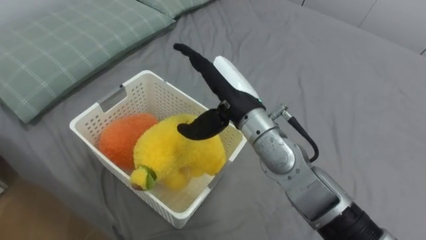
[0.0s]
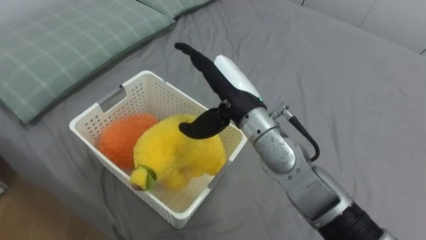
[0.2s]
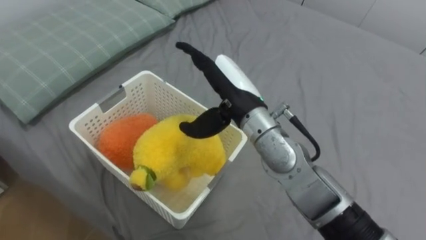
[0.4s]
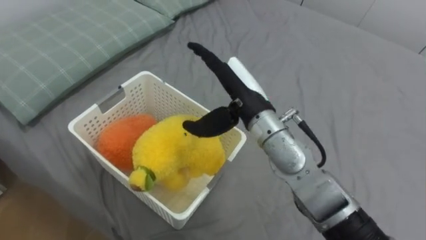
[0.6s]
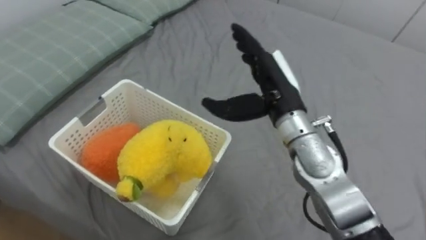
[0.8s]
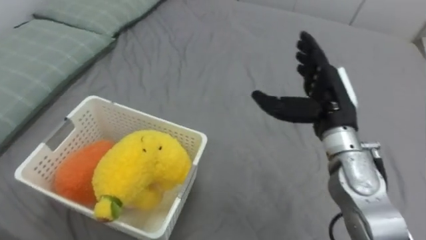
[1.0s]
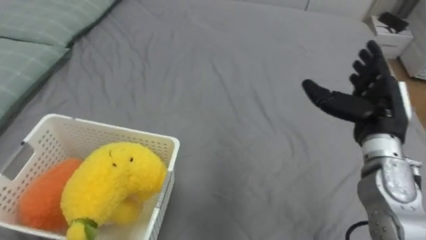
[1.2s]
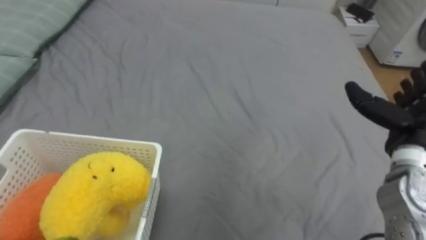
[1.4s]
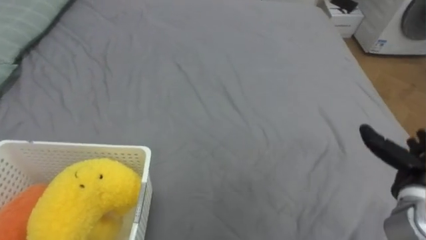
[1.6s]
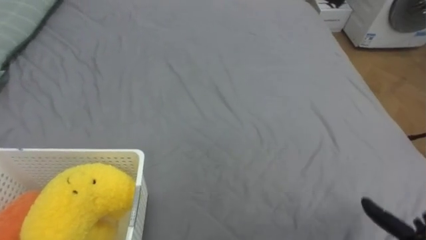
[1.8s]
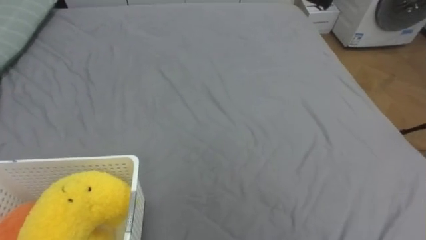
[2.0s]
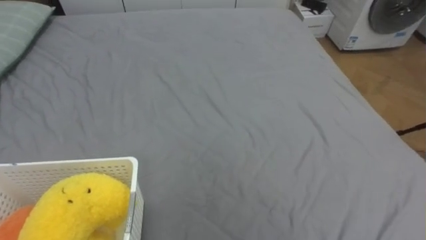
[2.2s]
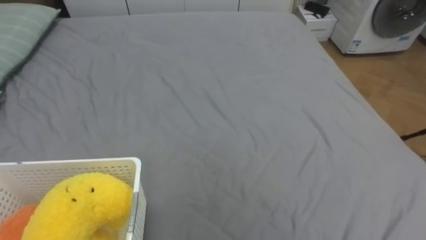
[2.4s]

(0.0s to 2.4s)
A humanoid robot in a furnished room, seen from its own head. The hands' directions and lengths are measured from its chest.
Task of the whole recording: Put the toys on the bed into the basket on the left.
0.0s - 1.2s: The right hand moves to the right, roughly 20 cm.

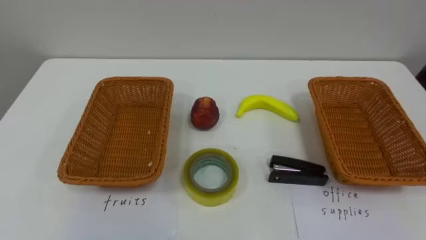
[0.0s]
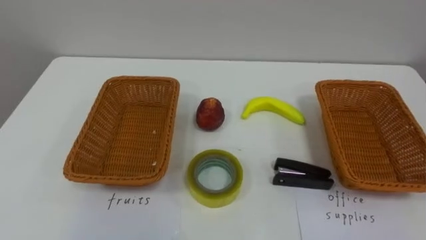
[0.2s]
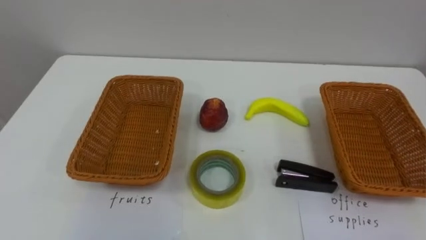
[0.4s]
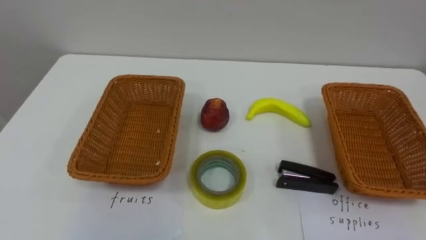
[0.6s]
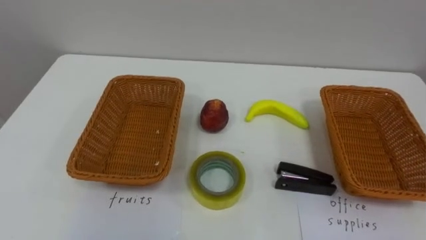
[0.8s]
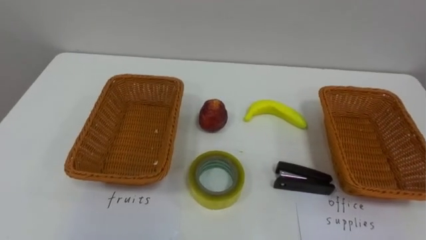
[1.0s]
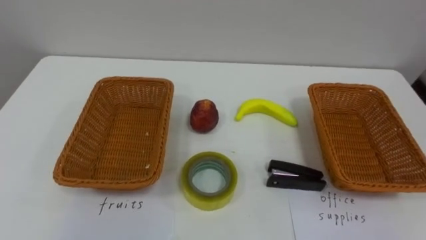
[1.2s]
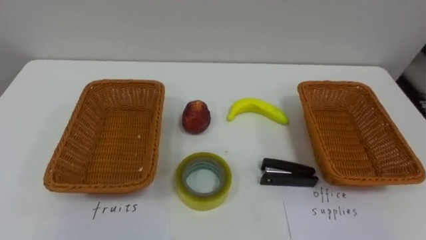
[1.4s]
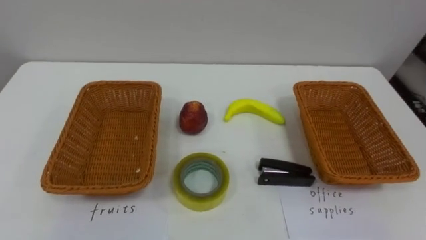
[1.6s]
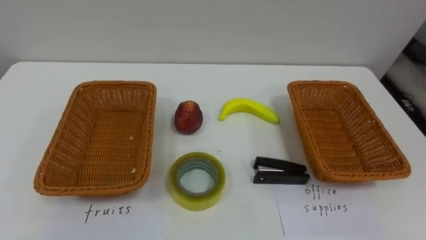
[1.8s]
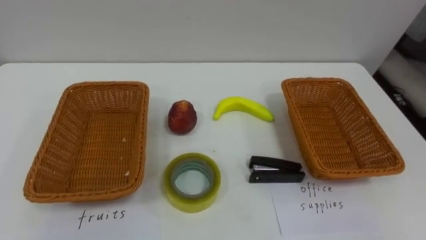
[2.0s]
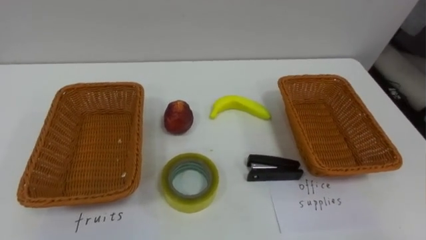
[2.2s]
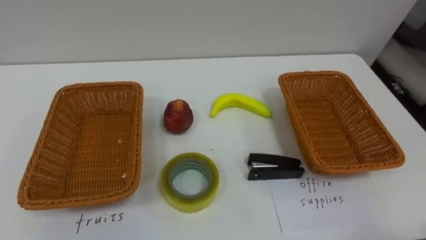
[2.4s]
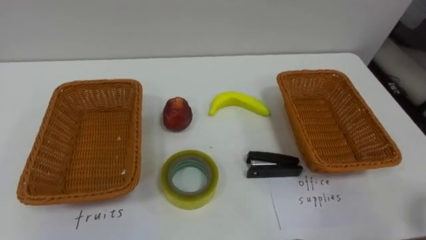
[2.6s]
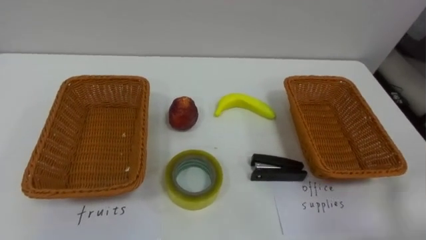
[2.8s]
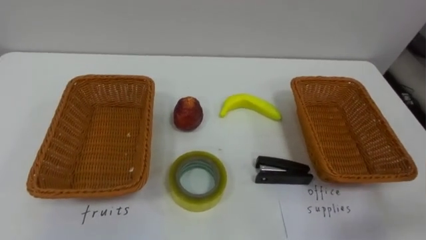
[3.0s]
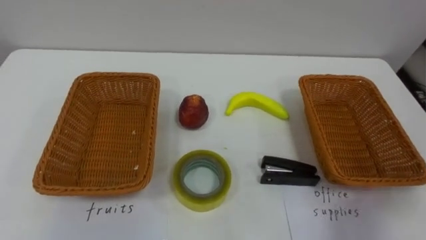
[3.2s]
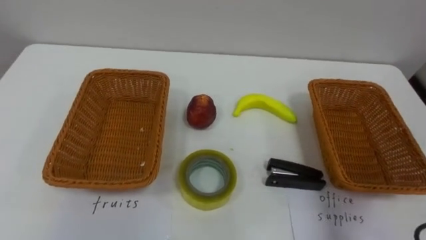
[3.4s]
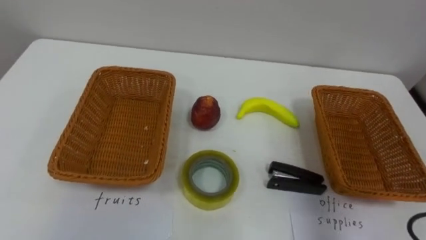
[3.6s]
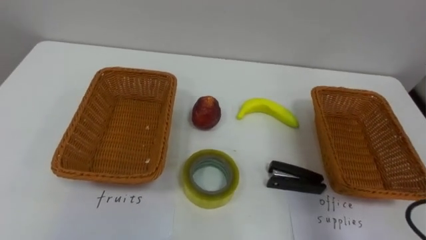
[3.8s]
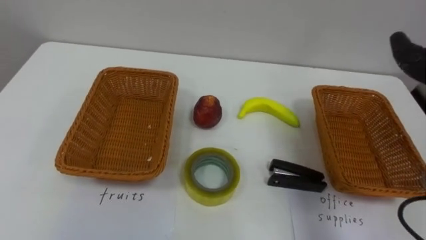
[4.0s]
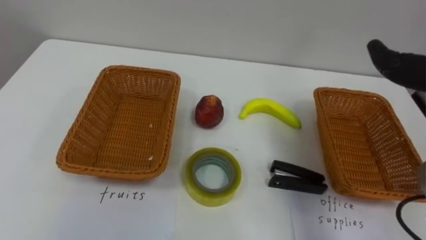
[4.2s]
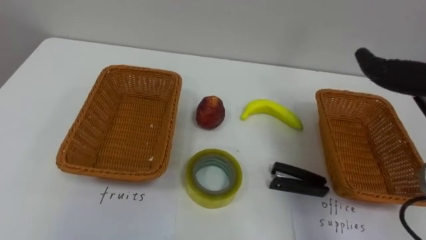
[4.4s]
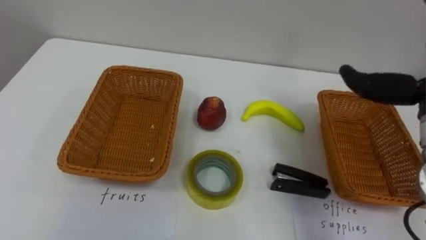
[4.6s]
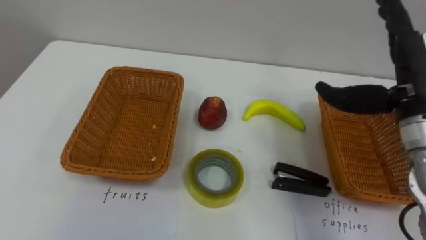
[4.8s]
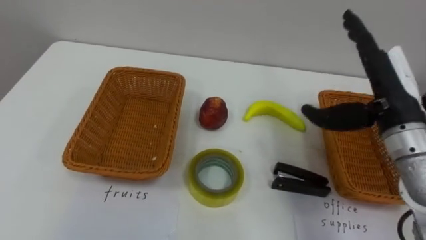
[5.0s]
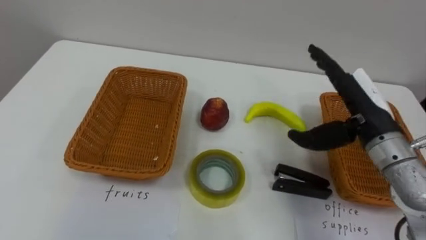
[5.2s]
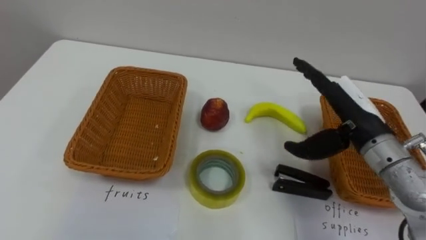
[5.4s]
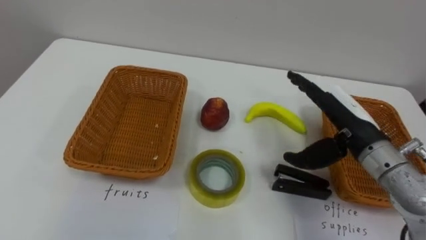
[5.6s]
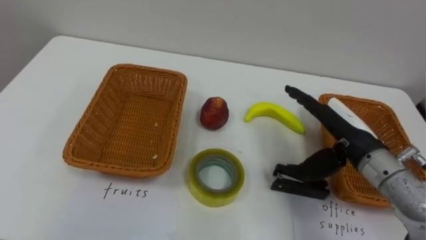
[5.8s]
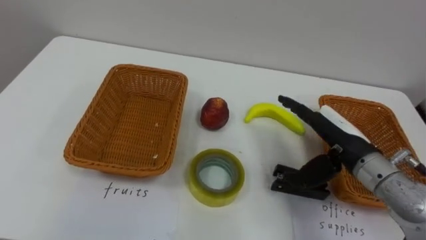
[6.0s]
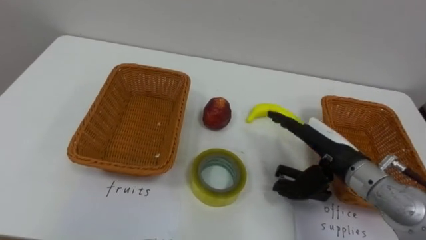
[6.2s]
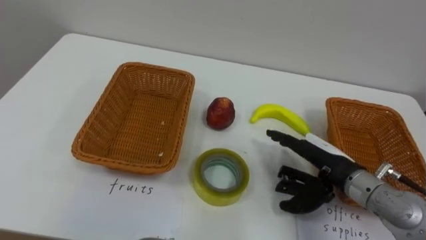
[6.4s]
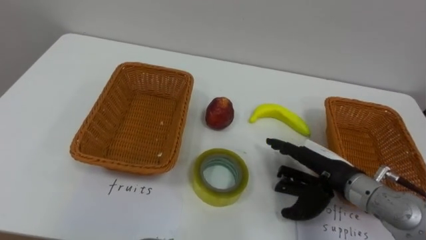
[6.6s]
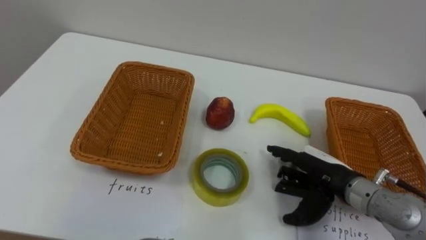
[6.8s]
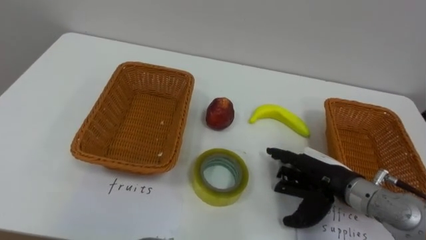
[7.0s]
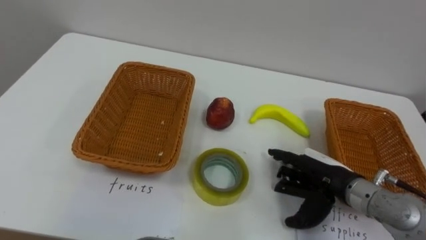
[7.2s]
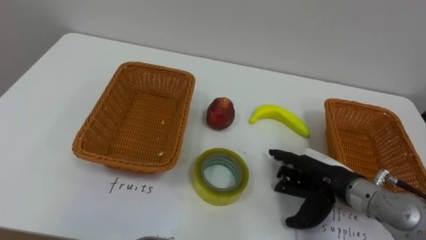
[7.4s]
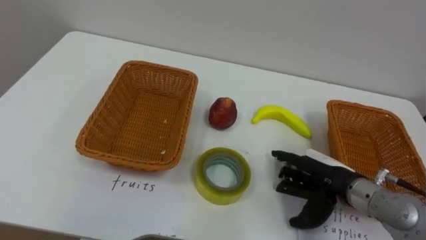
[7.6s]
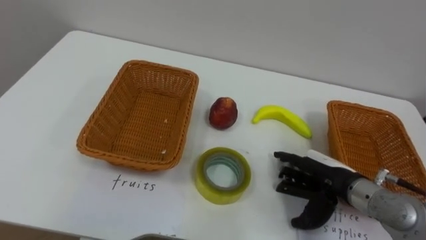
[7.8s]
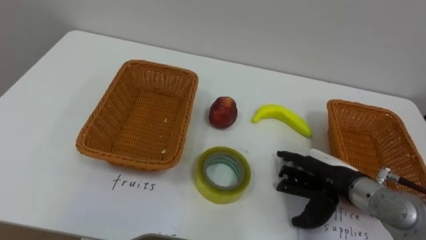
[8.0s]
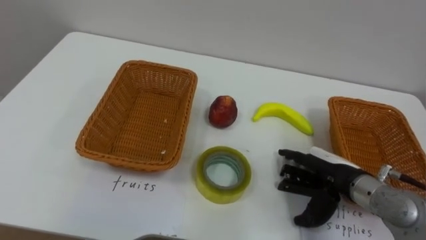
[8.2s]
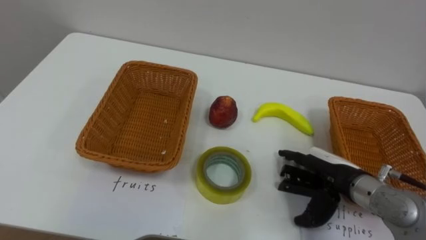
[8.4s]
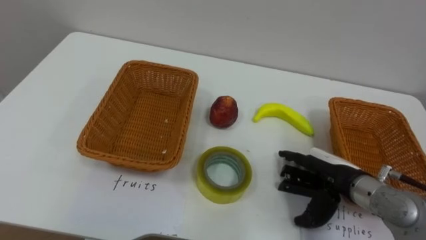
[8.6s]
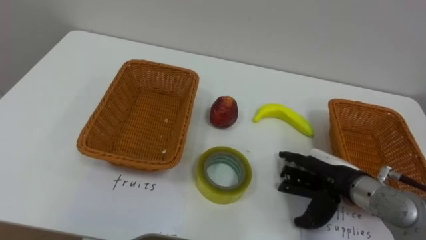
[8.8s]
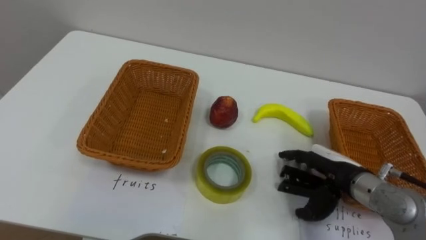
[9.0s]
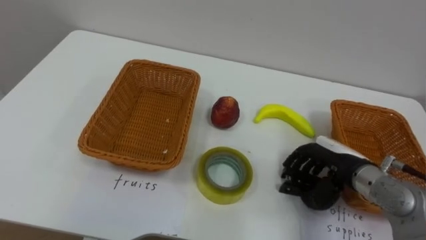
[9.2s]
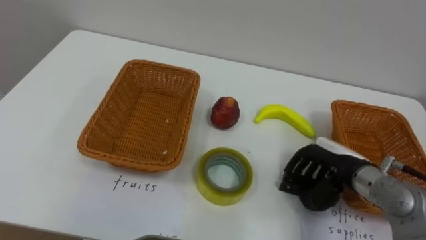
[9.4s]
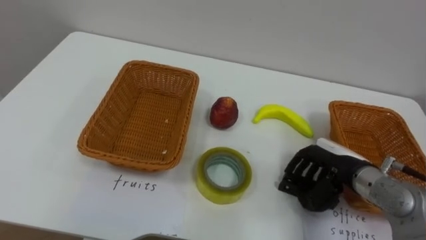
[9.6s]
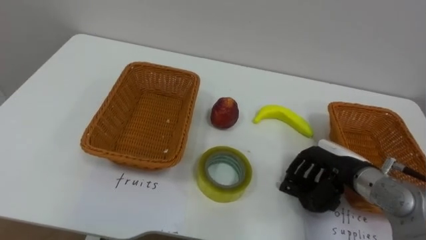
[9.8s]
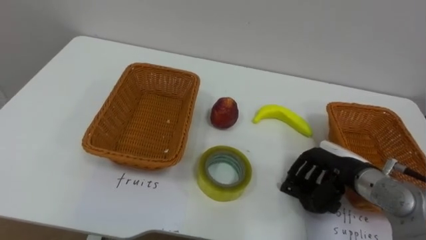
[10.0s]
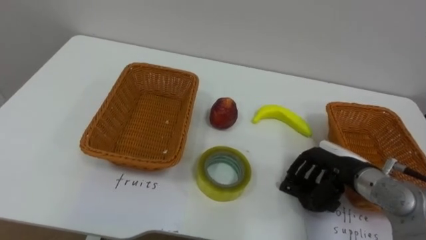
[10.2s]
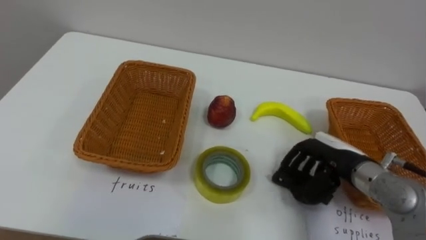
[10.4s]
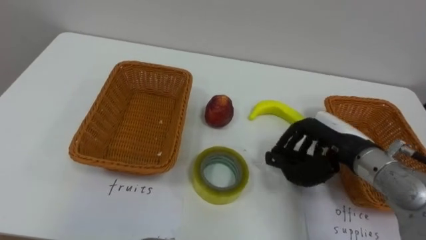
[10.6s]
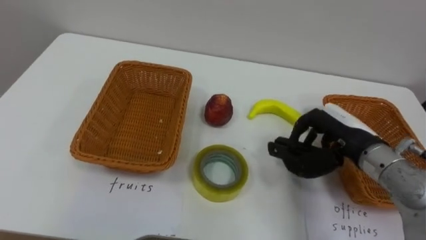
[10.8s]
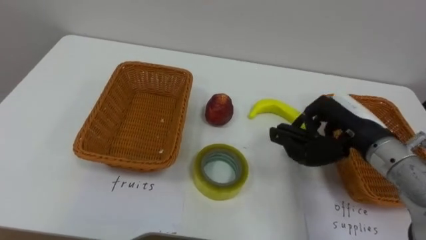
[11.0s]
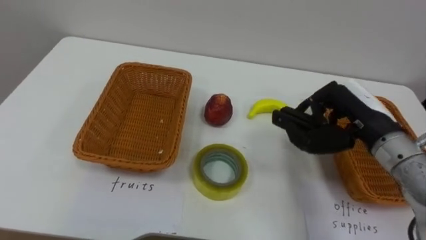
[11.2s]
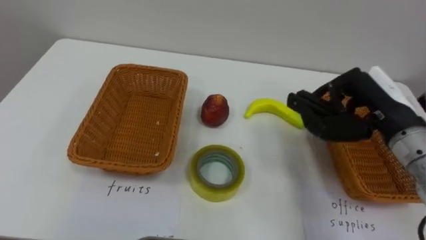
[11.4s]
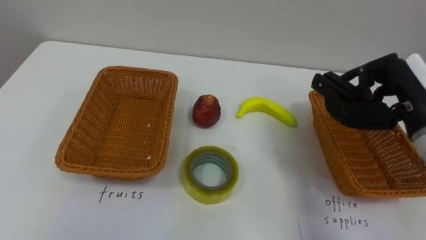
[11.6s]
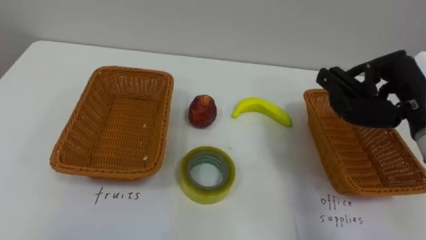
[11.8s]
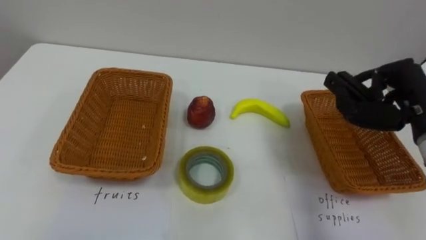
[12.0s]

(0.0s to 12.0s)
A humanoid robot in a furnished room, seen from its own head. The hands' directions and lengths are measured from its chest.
Task of the whole recording: Separate the items on the table and place them into the two baskets.
6.0s - 7.6s: The right hand heads downward, covering roughly 10 cm.
9.0s - 10.4s: The right hand closes its fingers.
10.4s - 12.0s: The right hand is displaced upward and to the right by approximately 15 cm.

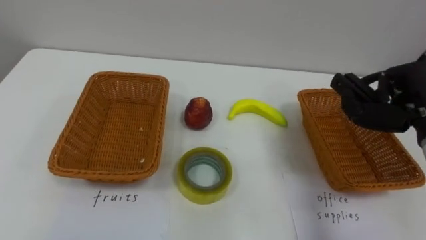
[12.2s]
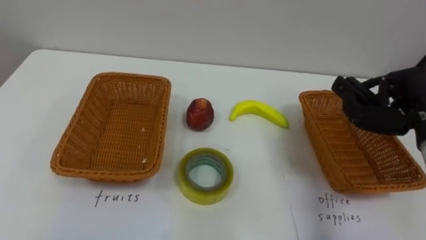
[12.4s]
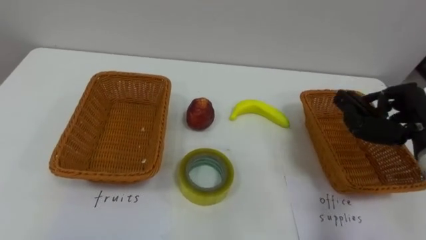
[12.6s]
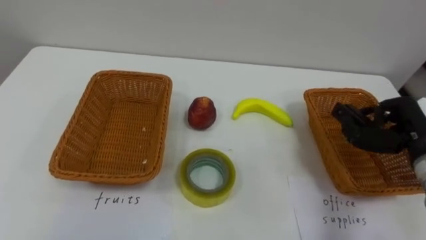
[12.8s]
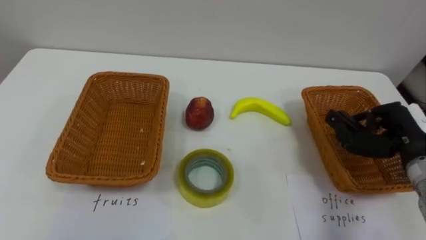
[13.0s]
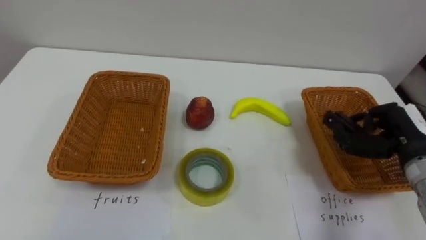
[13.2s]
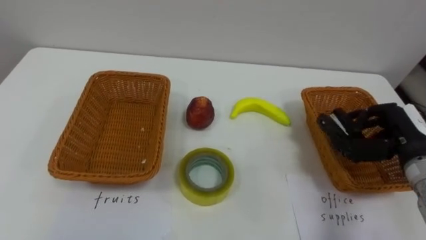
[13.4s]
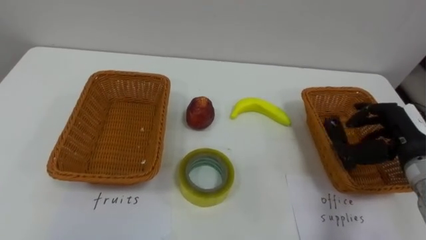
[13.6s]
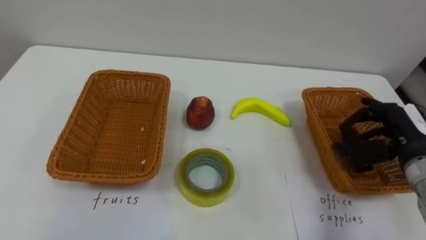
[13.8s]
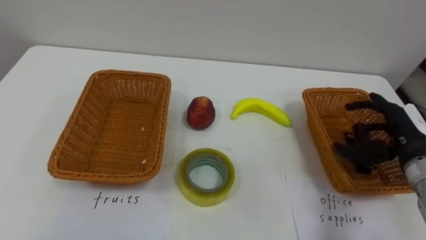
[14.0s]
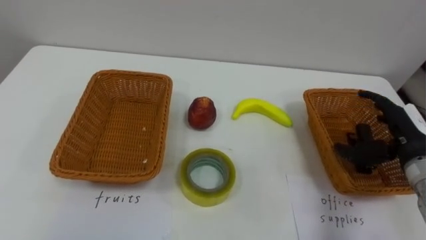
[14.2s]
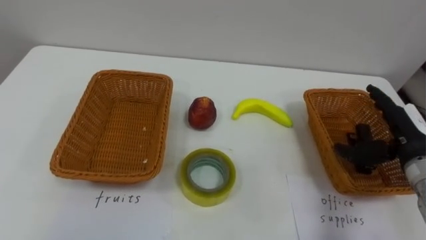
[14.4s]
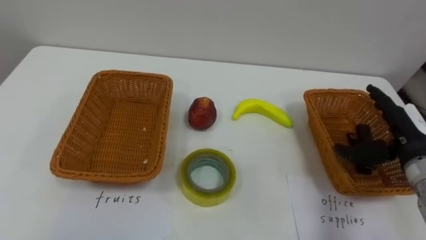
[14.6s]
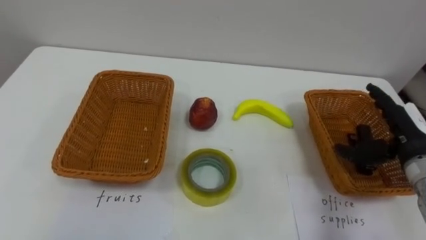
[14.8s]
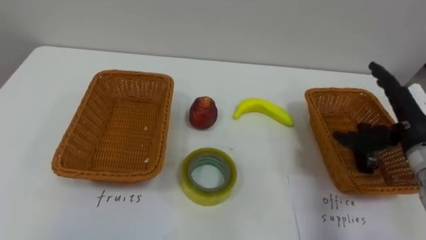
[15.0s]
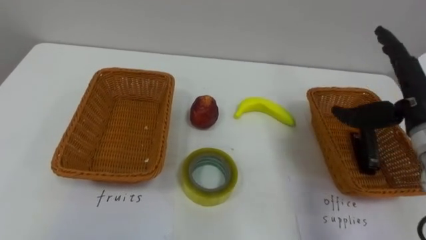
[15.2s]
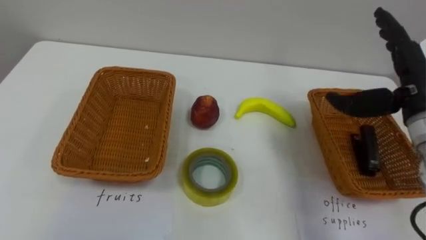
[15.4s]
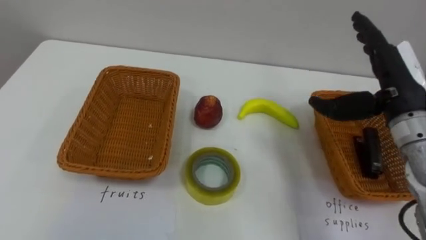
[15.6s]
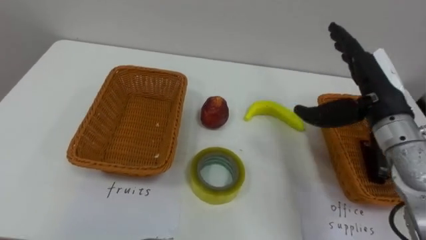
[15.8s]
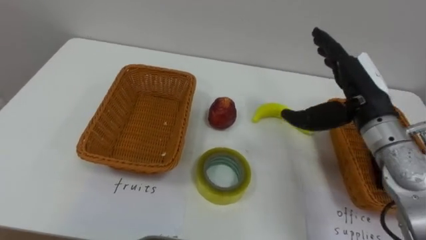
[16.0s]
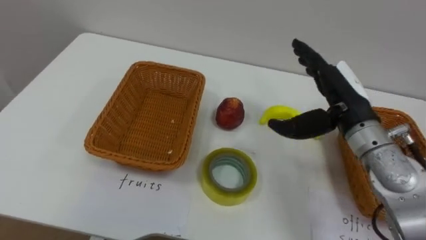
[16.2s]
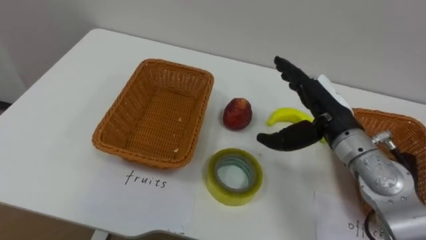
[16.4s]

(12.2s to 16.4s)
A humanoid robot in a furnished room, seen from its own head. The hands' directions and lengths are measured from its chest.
Task of the whole recording: Separate the items on the table and place them into the two baskets.
12.2s - 13.6s: The right hand travels downward by about 10 cm.
13.6s - 15.0s: The right hand opens its fingers.
15.0s - 16.4s: The right hand is displaced to the left by about 15 cm.
